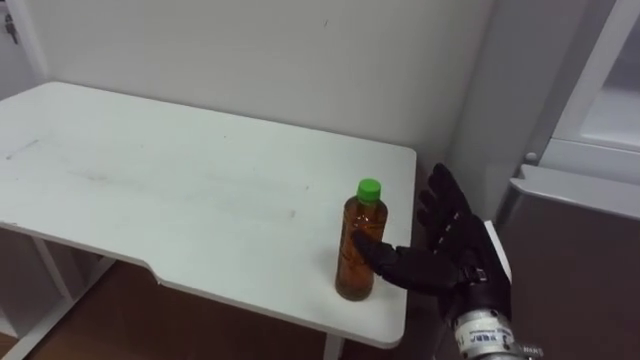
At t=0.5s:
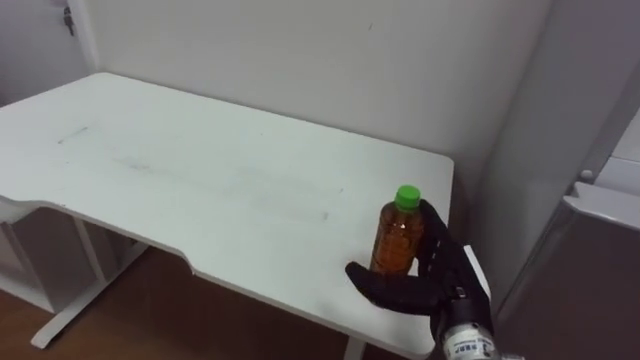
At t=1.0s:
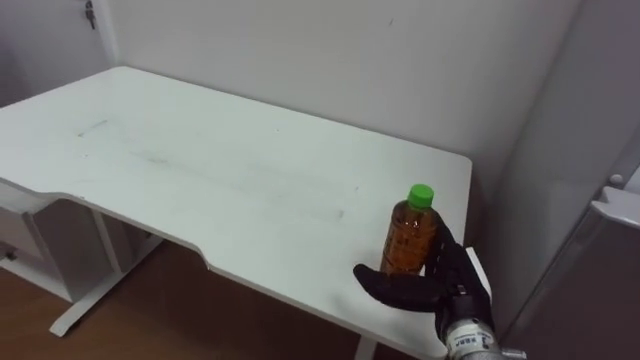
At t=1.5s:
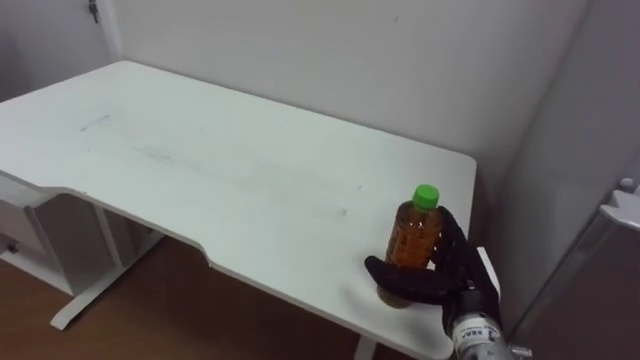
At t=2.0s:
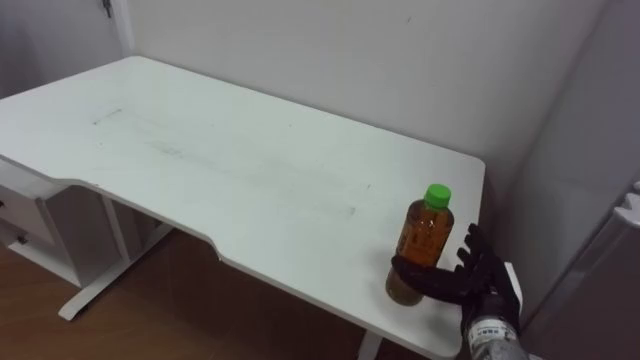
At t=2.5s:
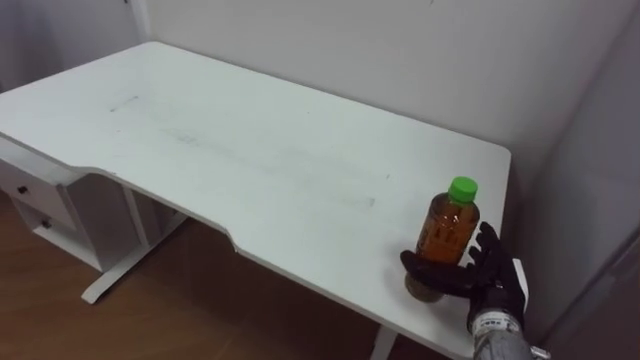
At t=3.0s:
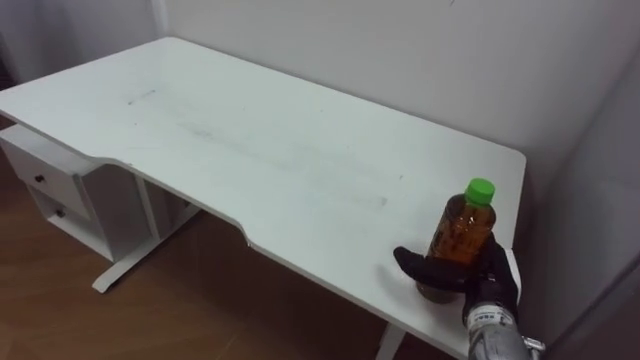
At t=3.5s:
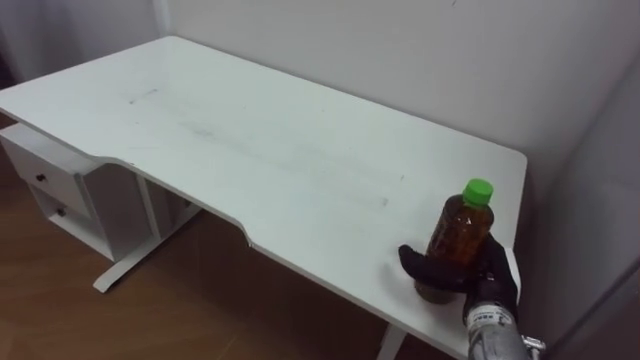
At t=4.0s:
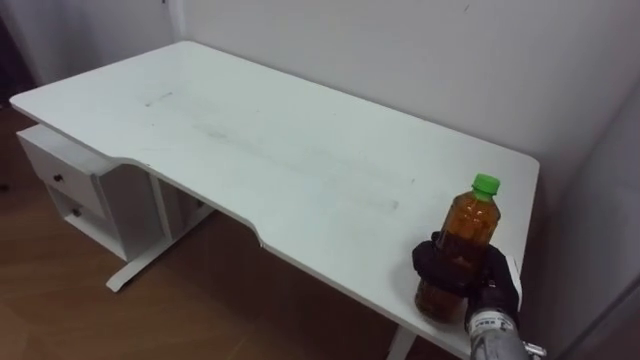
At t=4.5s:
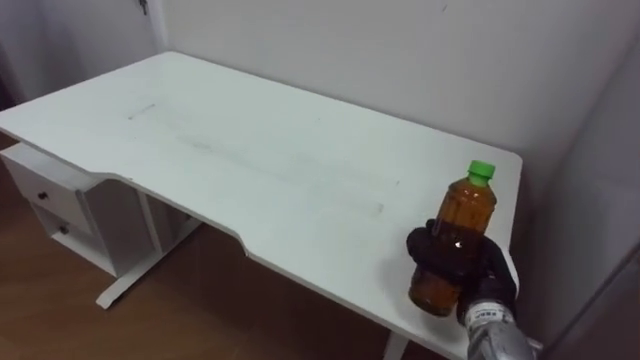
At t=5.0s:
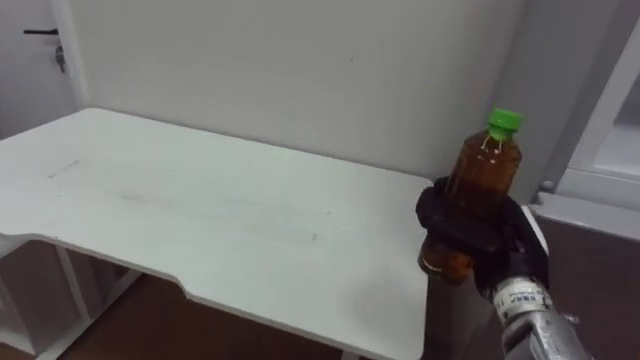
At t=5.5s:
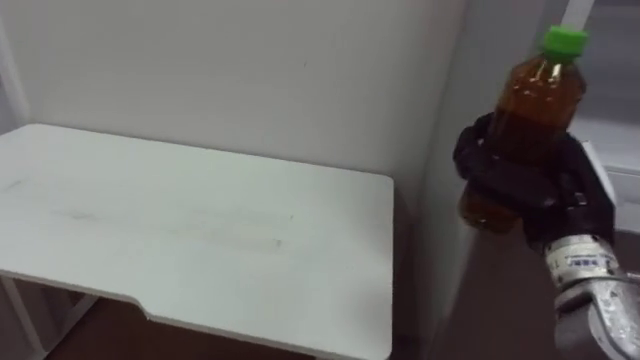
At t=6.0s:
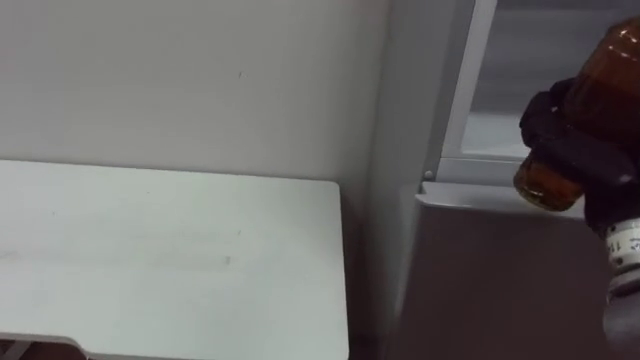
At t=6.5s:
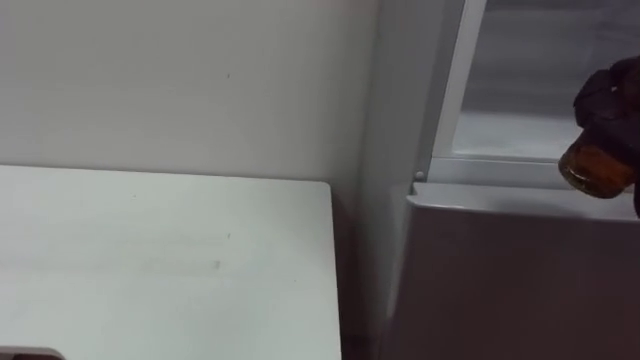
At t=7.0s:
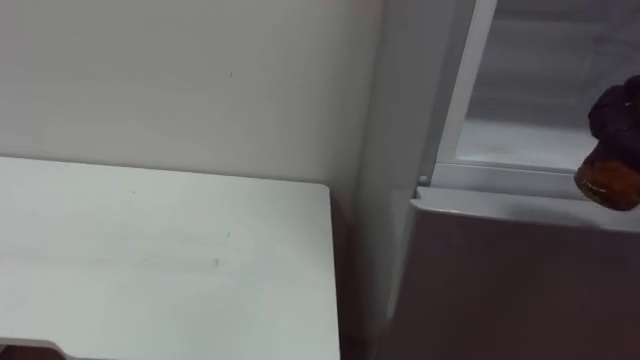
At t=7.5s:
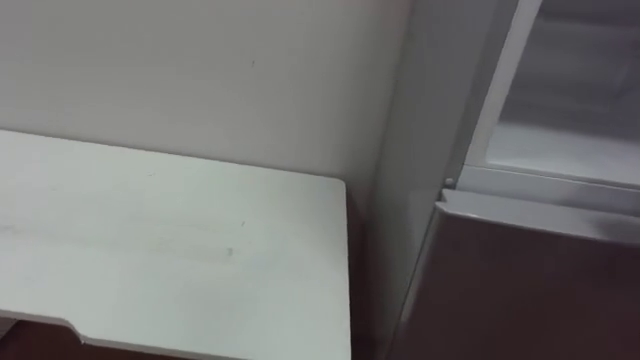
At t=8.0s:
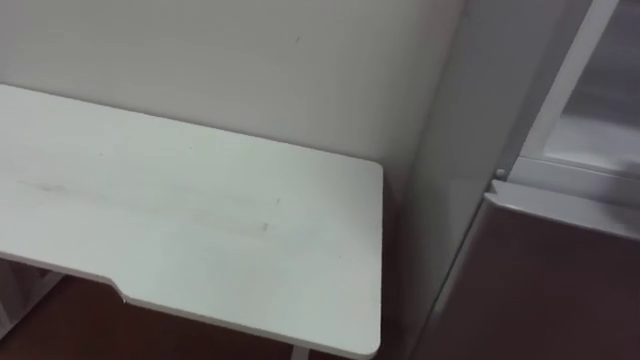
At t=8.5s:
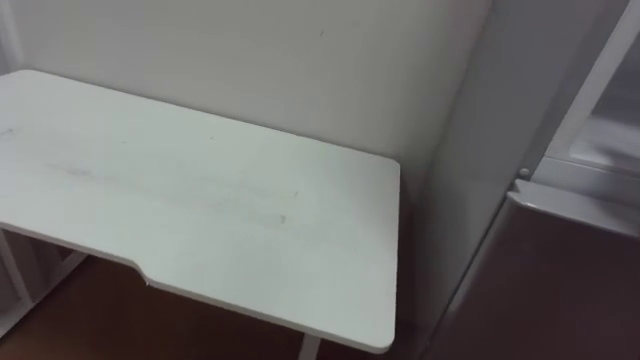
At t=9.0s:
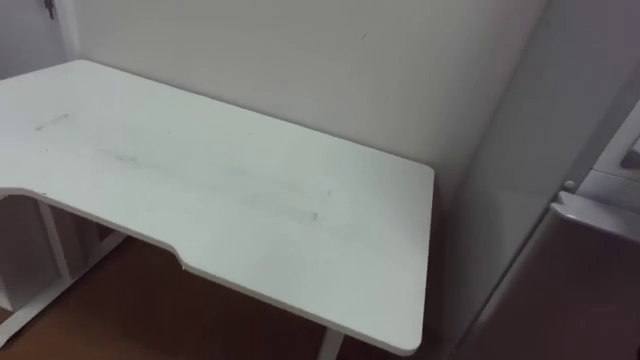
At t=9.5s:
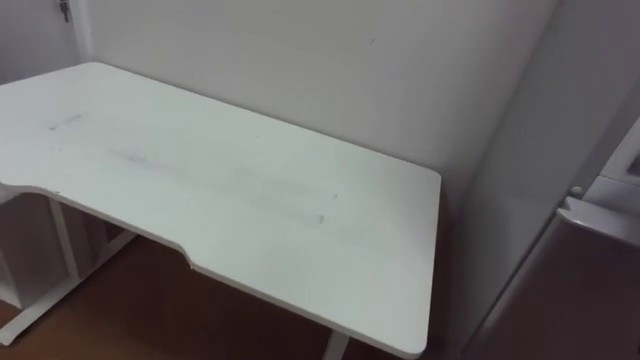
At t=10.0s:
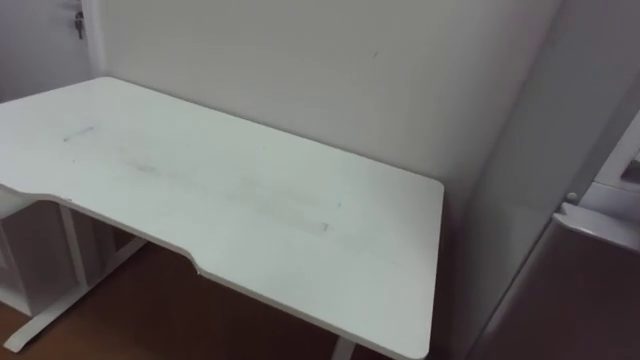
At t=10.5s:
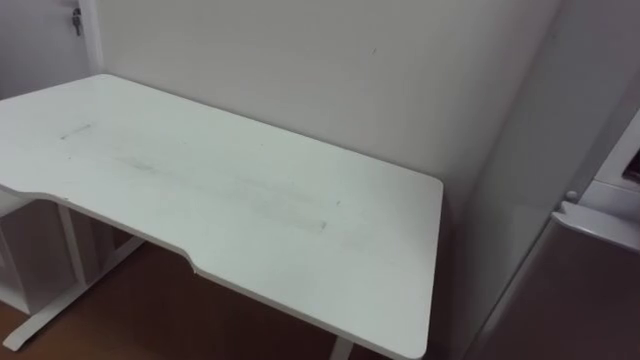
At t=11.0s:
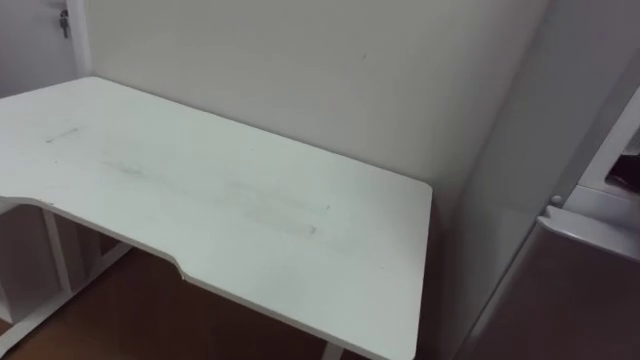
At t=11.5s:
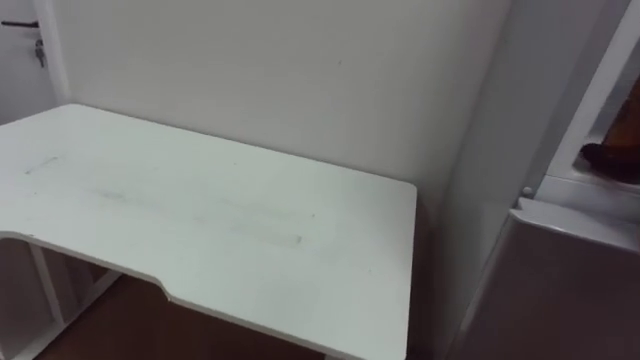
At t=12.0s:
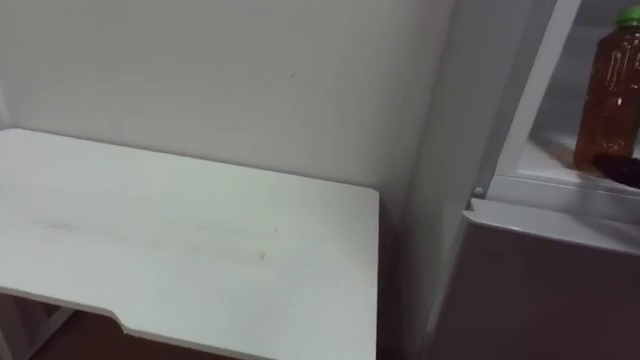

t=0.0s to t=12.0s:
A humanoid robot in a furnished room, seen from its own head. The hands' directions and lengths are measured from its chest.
Task of the whole recording: Open the upper refrigerator door, put the drink from the table into the refrigerator, and then close the refrigerator door.
t=0.0s to t=2.0s: The right hand is displaced downward by approximately 10 cm.
t=2.0s to t=4.0s: The right hand closes.
t=4.0s to t=6.0s: The right hand shifts about 20 cm upward and to the right.
